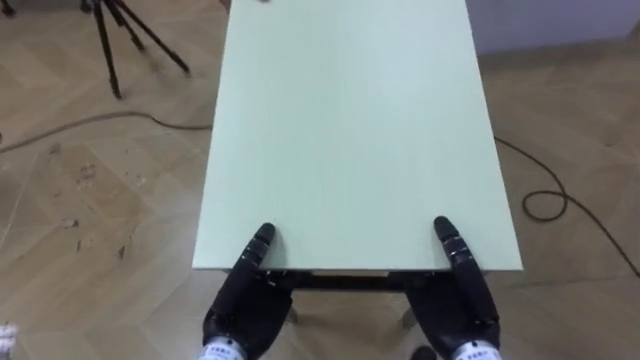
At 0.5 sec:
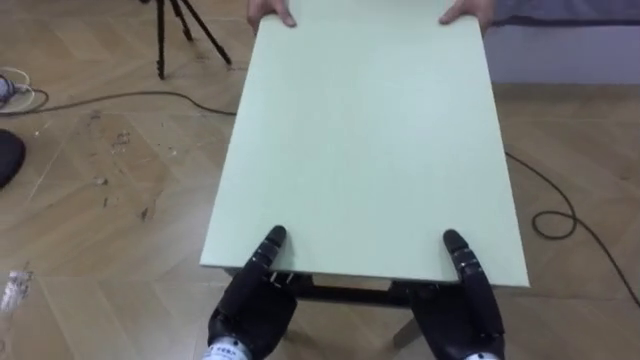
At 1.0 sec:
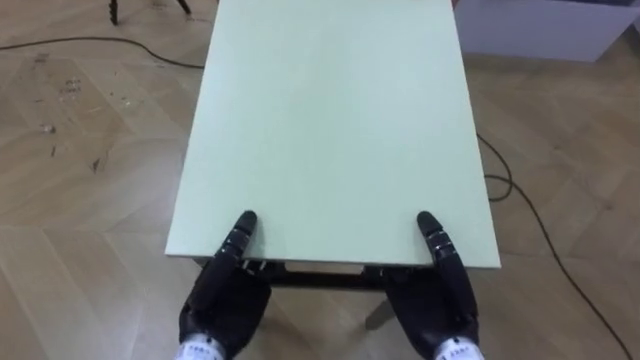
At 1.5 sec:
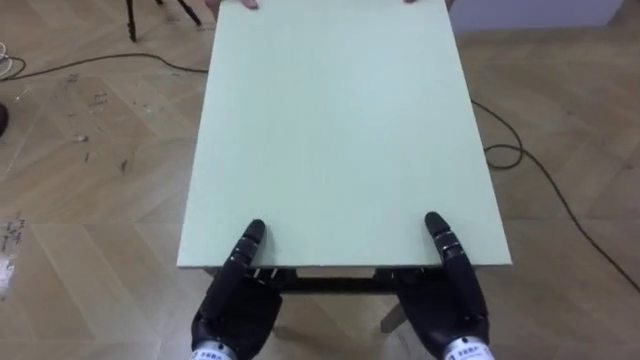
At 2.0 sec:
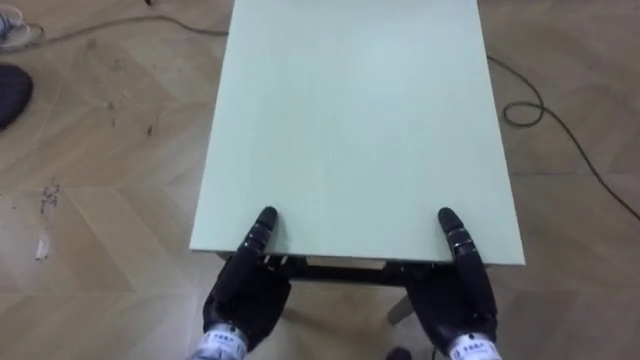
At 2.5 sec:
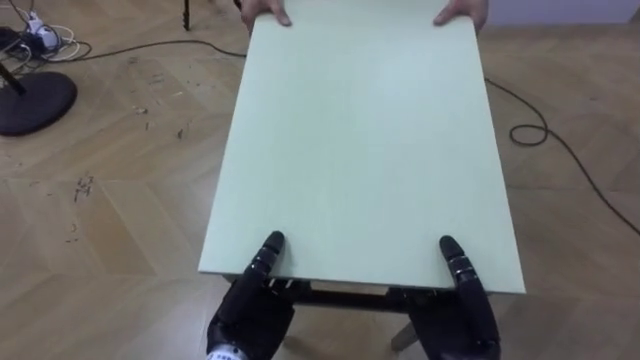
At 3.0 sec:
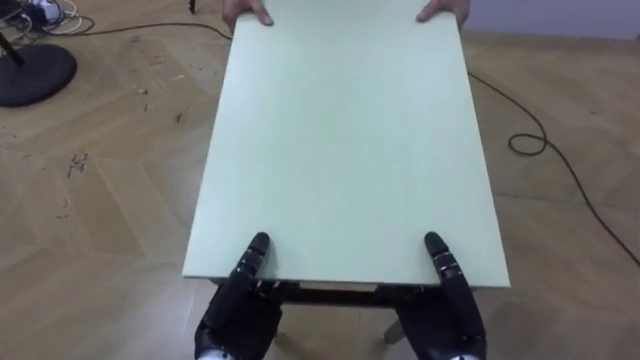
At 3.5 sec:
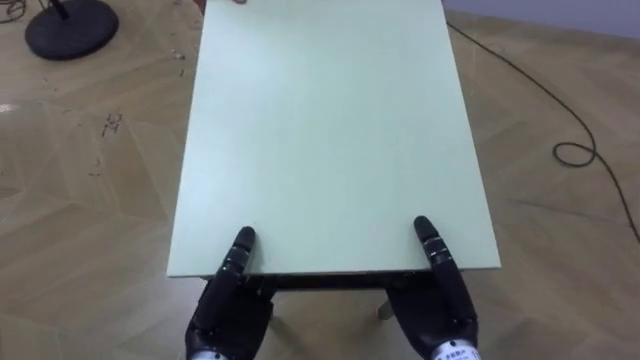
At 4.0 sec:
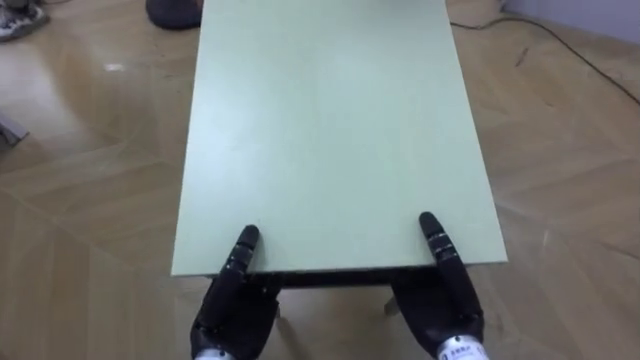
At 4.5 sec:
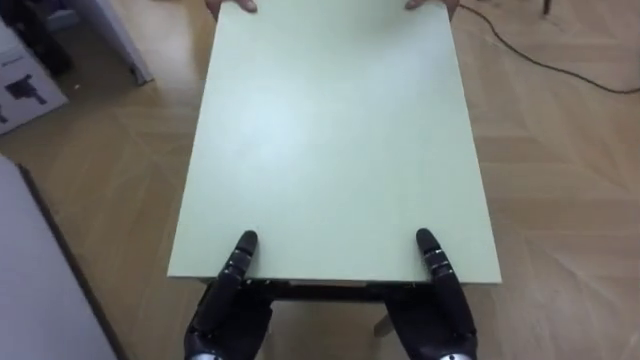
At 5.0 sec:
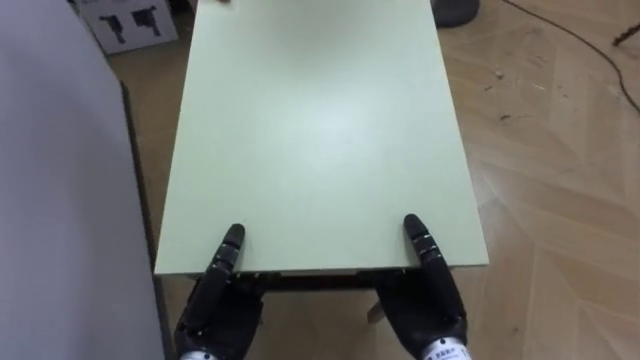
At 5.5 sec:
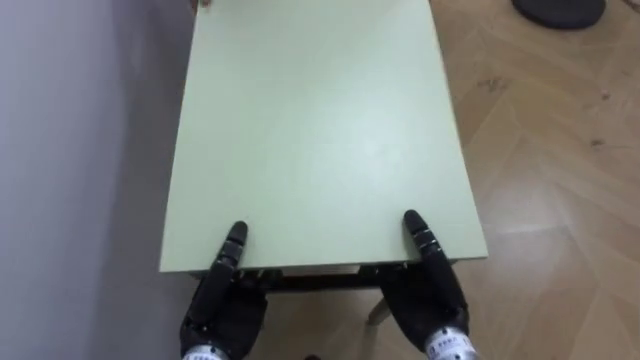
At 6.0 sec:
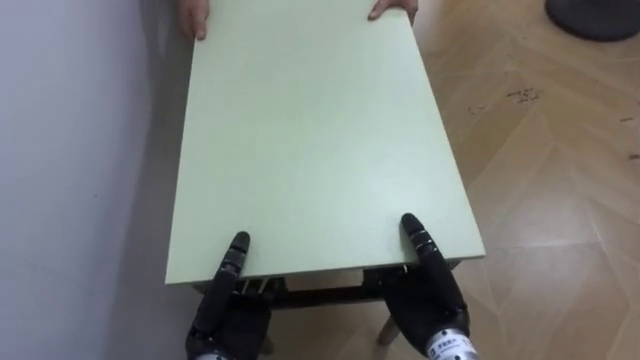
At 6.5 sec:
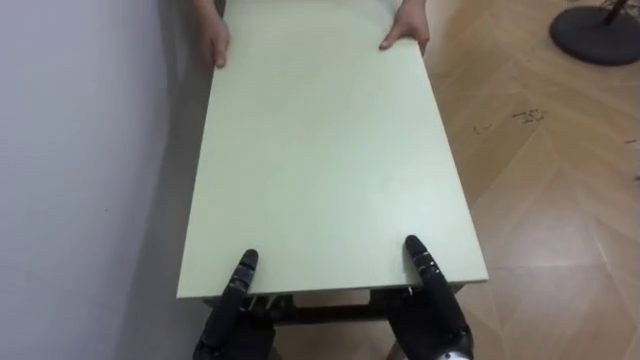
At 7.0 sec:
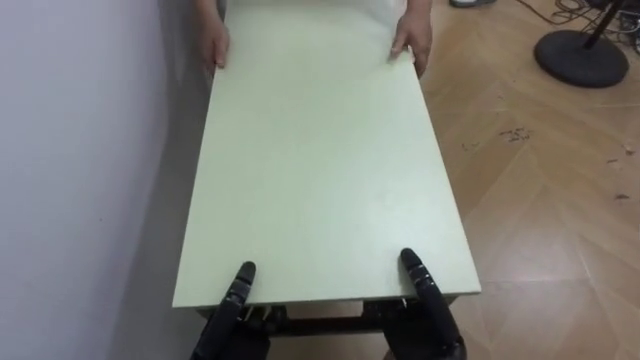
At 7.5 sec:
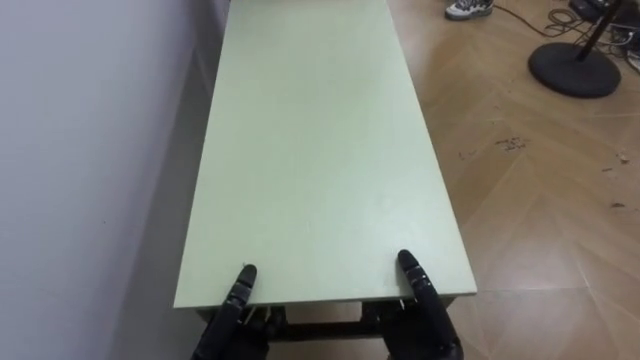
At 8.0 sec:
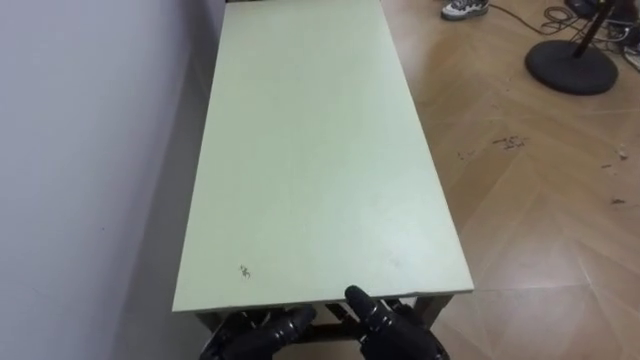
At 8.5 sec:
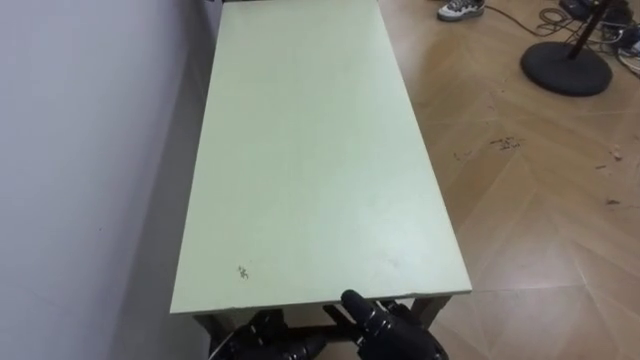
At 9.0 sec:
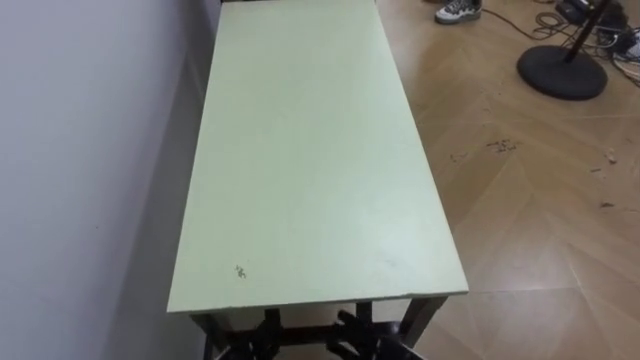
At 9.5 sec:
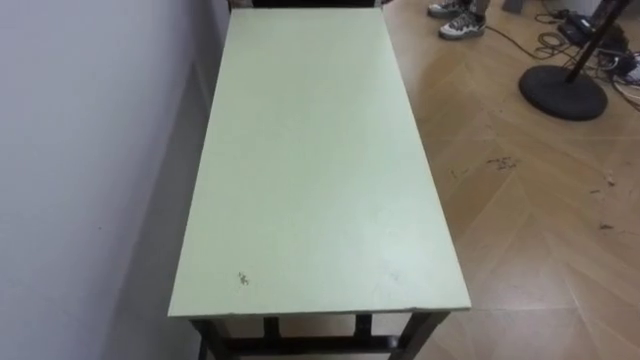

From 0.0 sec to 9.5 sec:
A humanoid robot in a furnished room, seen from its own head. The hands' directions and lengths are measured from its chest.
Task of the whole recording: Move the table to the back left with someone.
From 2.0 sec to 4.0 sec: The robot rotates some 25 degrees to its left.
From 4.0 sec to 5.5 sec: The robot turns to its left by approximately 50 degrees.
From 5.5 sec to 7.5 sec: The hands both shift downward by approximately 5 cm.

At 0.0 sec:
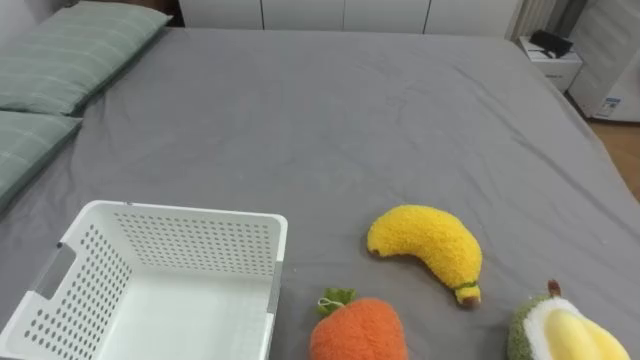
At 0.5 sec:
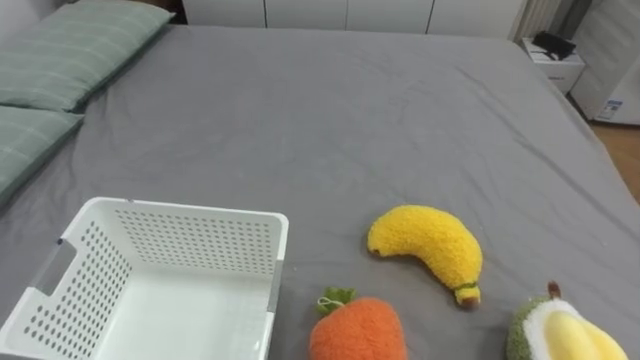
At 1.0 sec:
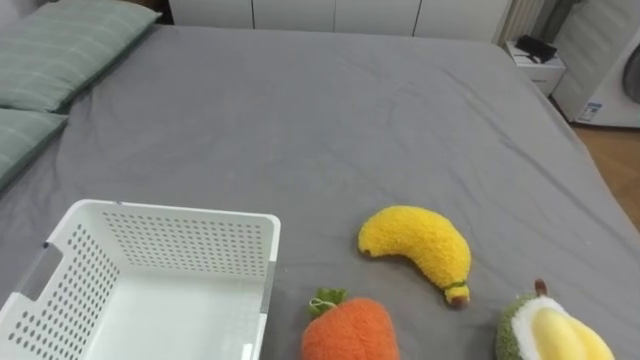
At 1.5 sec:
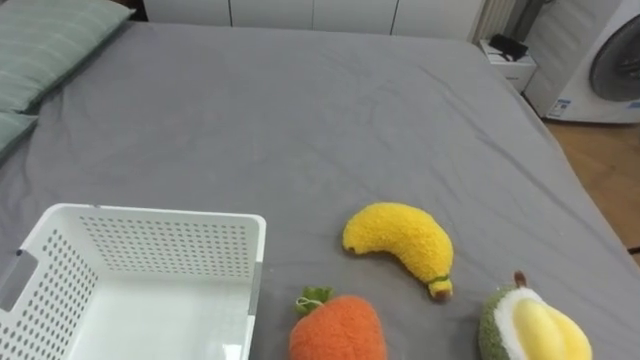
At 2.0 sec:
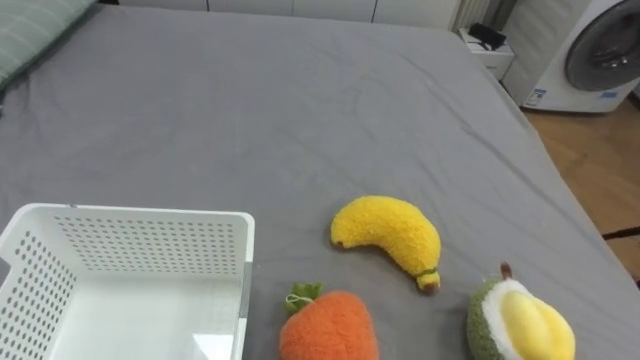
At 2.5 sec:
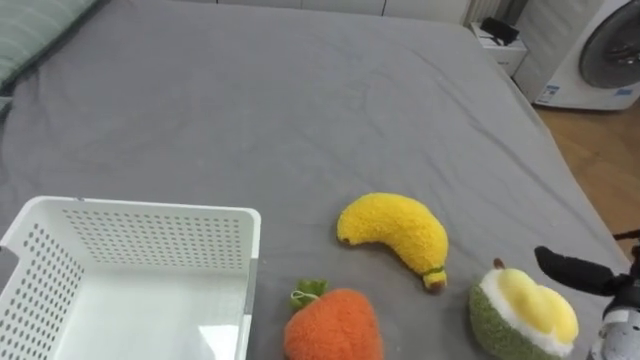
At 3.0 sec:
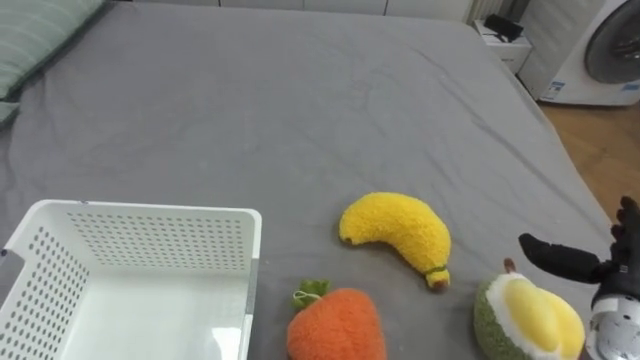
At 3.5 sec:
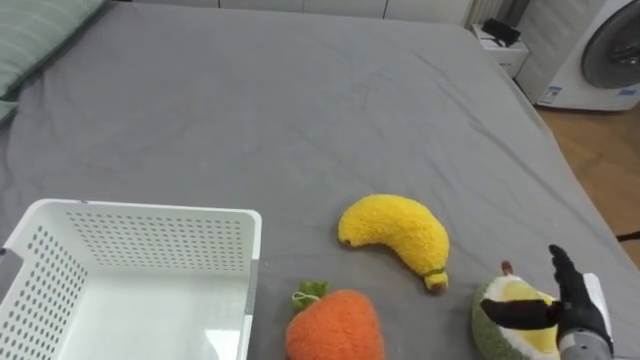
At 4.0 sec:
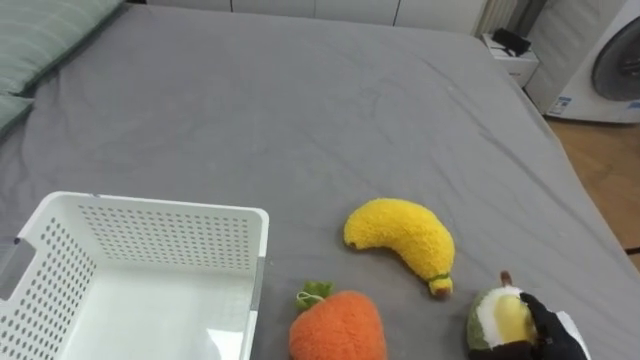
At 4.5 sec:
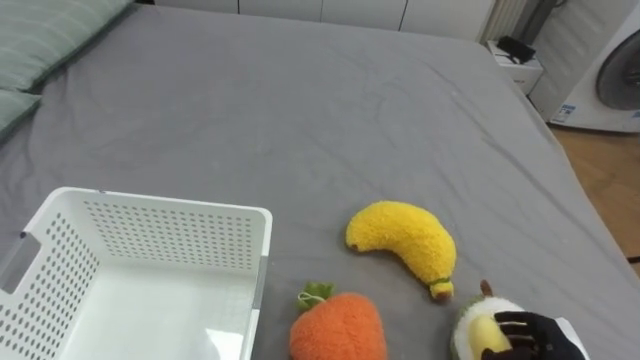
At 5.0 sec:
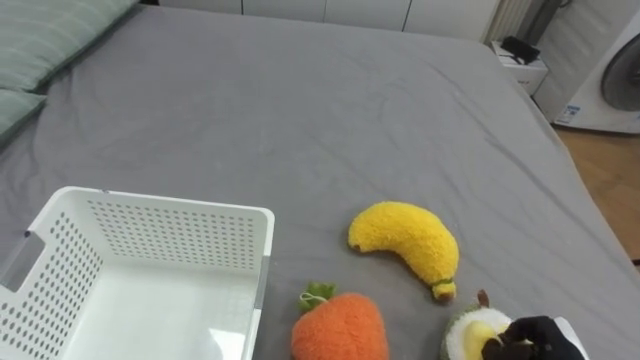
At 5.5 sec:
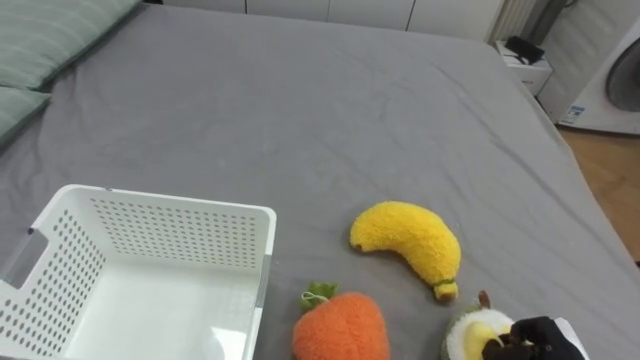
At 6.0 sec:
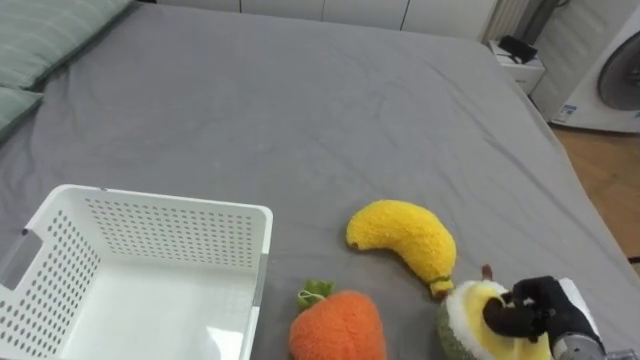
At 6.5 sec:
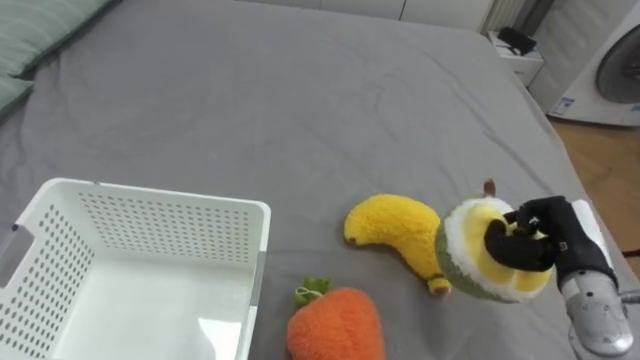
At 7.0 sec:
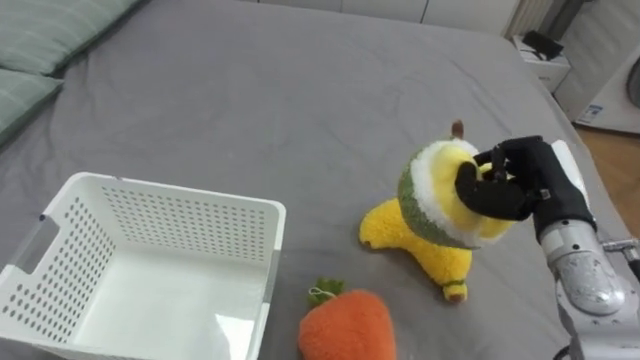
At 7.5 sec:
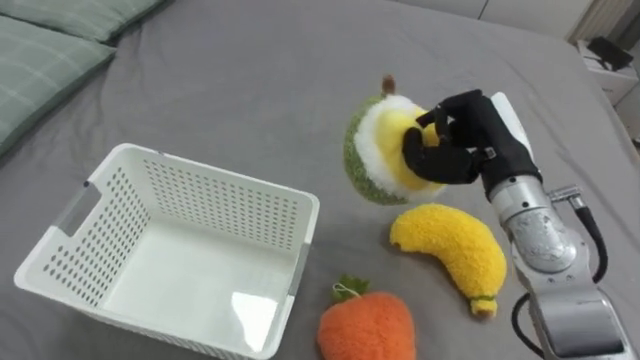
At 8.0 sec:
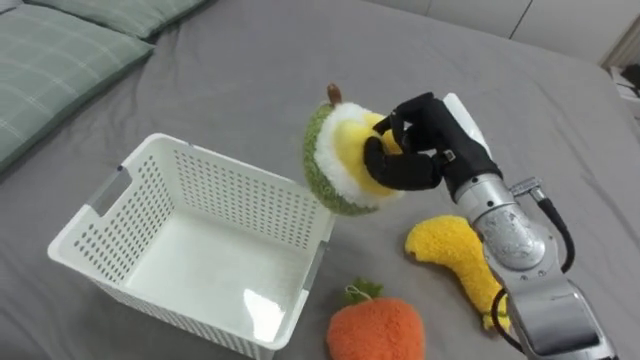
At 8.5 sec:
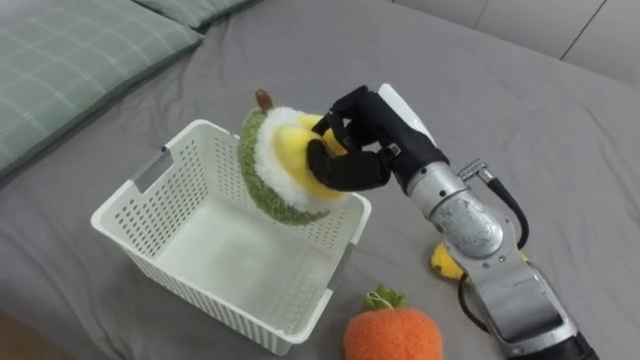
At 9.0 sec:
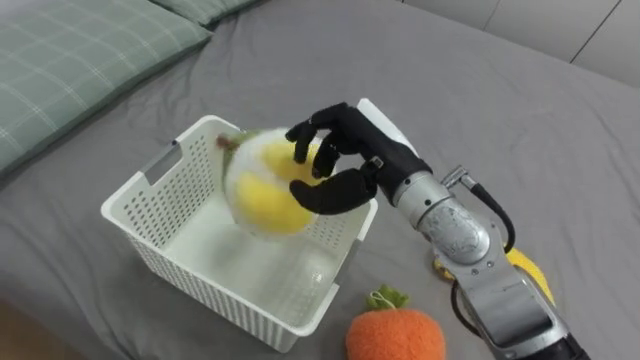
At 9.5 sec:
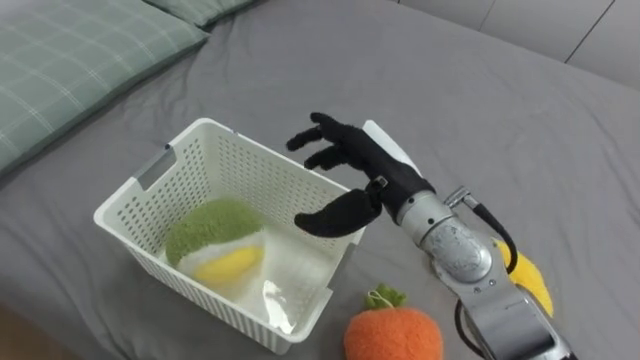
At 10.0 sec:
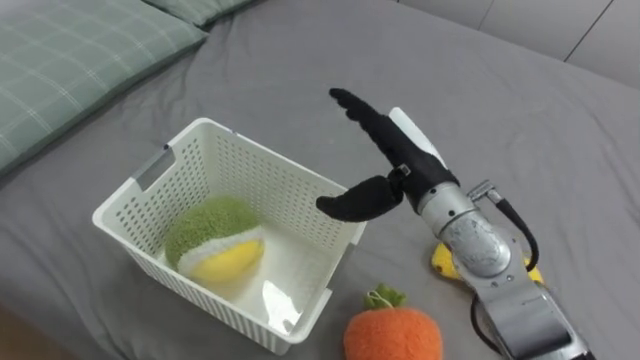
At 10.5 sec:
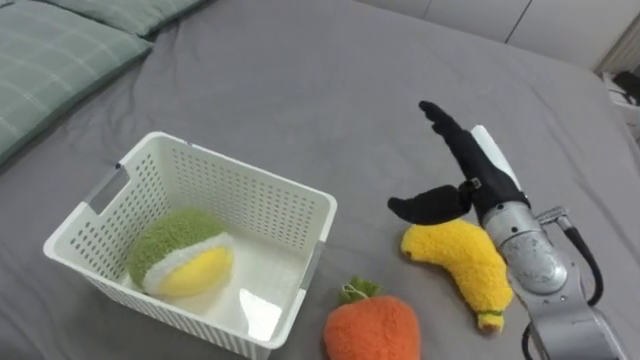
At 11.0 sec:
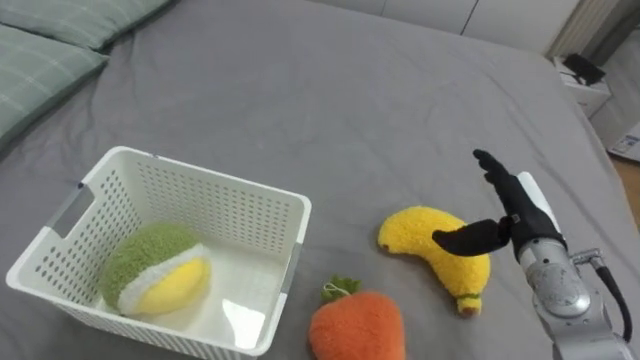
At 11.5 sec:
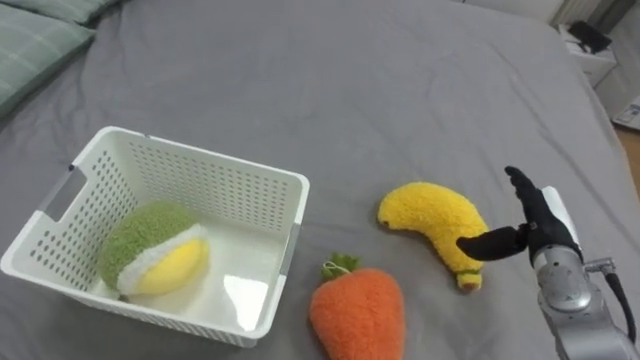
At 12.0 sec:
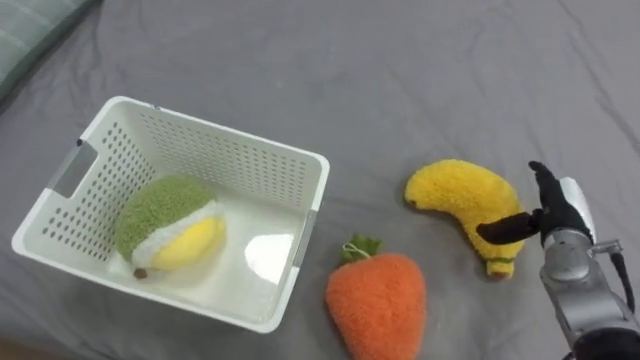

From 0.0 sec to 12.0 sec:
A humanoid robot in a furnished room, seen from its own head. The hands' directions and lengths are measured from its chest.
Task of the whole recording: Put the toys on the bed into the basket on the left.
From 4.0 sec to 6.0 sec: The right hand closes its fingers.
From 6.0 sec to 8.0 sec: The right hand goes some 30 cm upward, to the left and forward.
From 8.0 sec to 10.0 sec: The right hand goes roughly 5 cm to the left, and opens.
From 10.0 sec to 12.0 sec: The right hand heads to the right and downward, covering about 25 cm.
